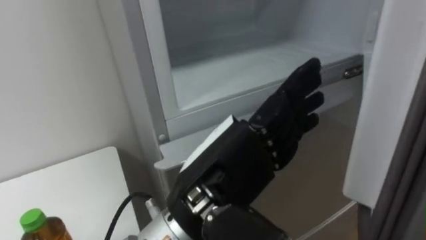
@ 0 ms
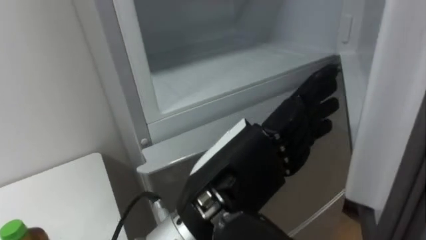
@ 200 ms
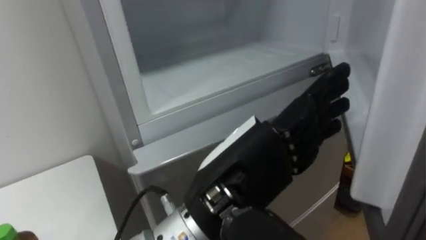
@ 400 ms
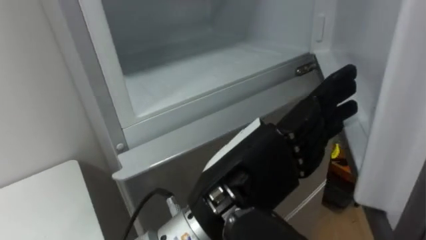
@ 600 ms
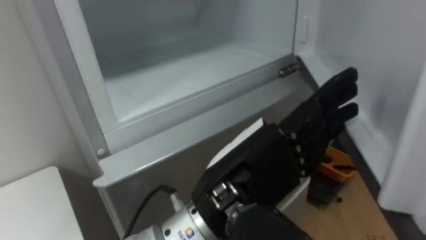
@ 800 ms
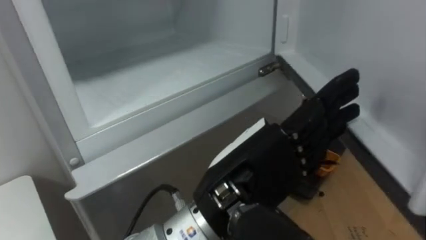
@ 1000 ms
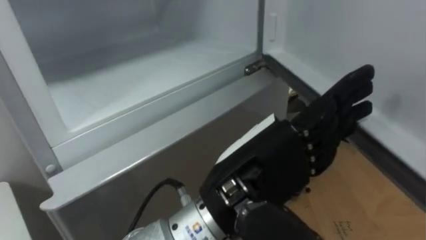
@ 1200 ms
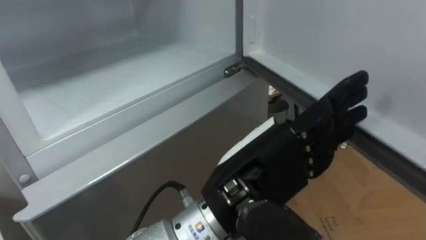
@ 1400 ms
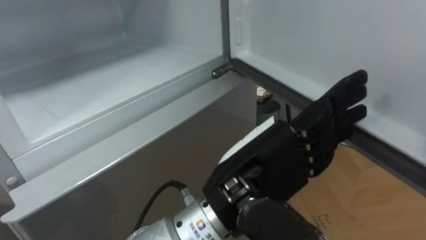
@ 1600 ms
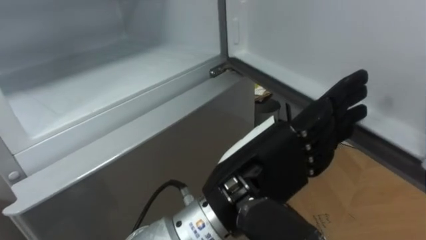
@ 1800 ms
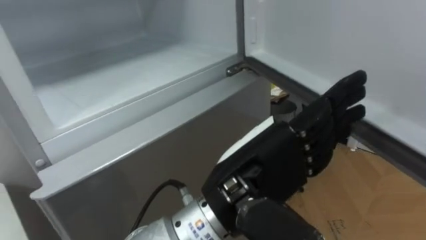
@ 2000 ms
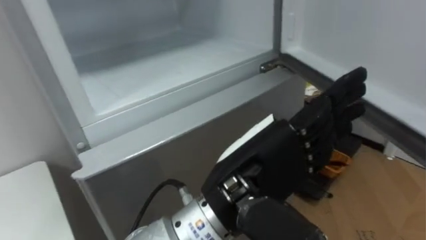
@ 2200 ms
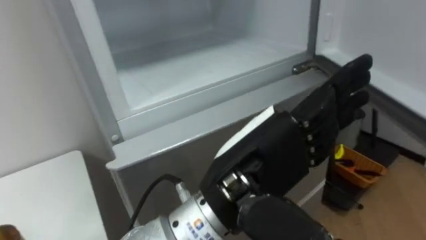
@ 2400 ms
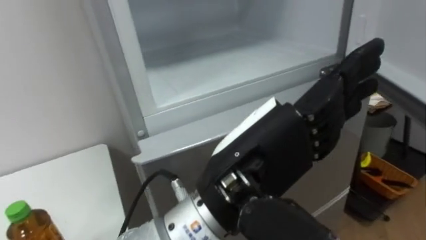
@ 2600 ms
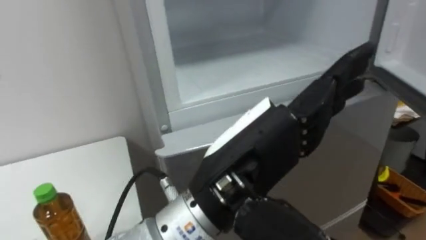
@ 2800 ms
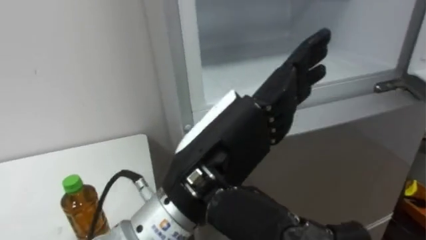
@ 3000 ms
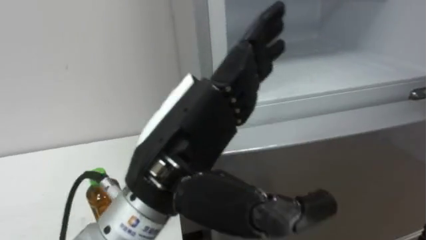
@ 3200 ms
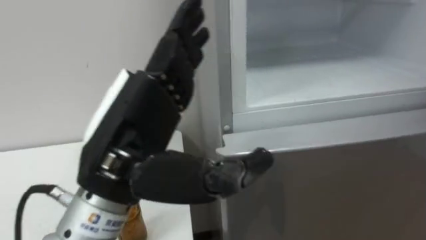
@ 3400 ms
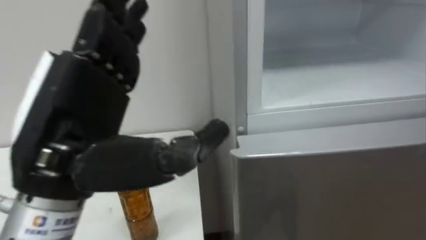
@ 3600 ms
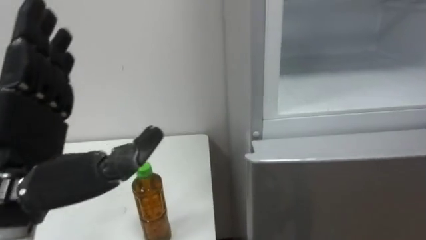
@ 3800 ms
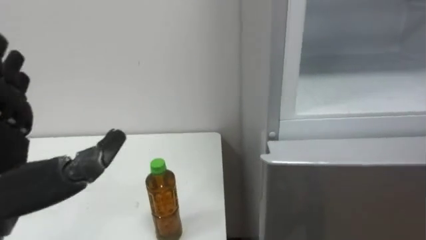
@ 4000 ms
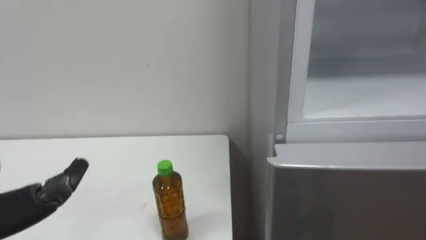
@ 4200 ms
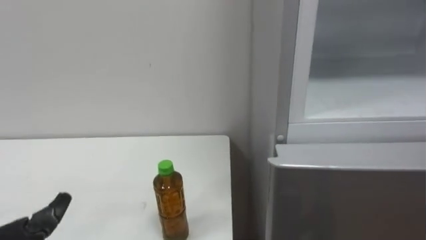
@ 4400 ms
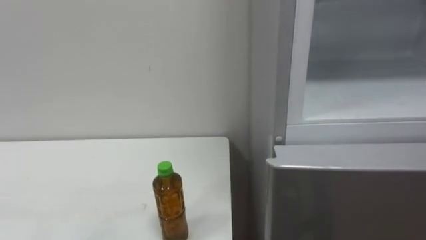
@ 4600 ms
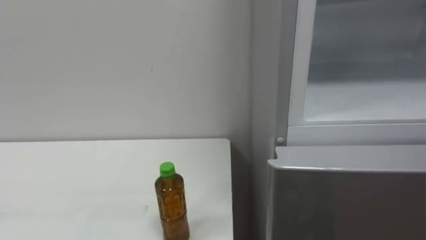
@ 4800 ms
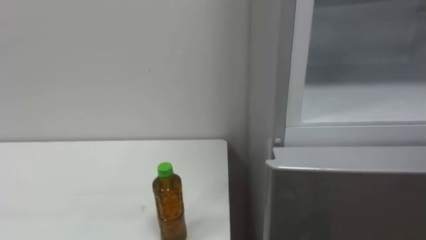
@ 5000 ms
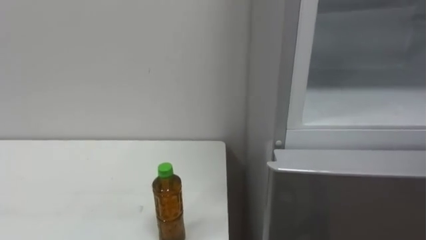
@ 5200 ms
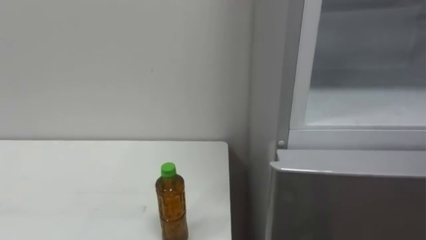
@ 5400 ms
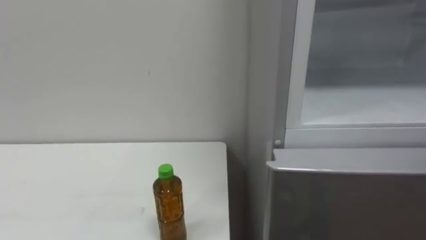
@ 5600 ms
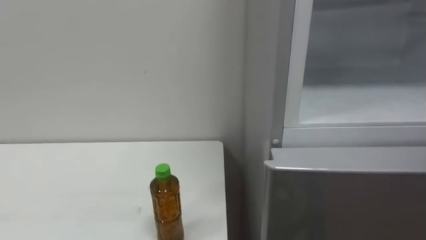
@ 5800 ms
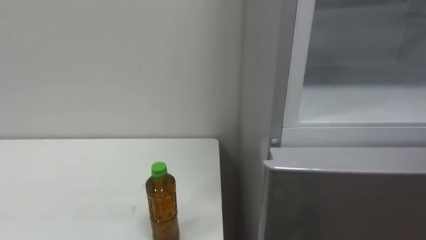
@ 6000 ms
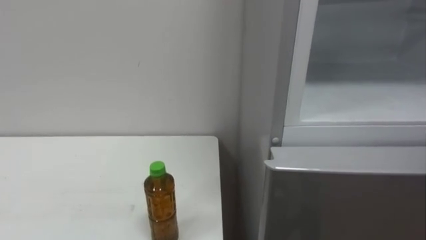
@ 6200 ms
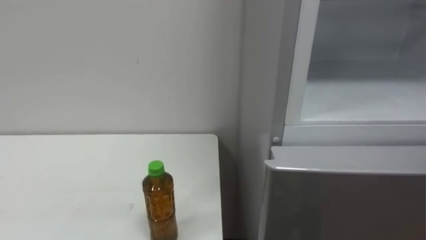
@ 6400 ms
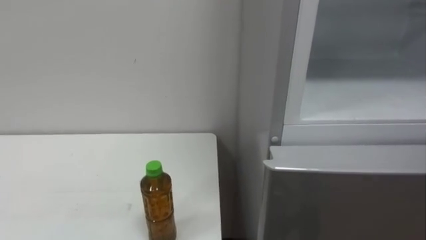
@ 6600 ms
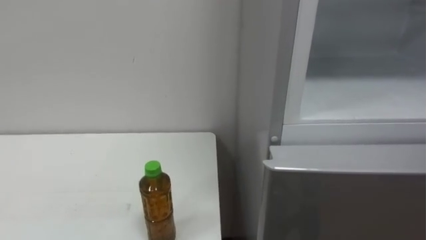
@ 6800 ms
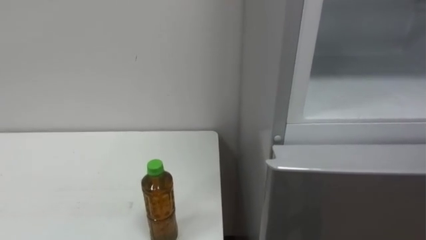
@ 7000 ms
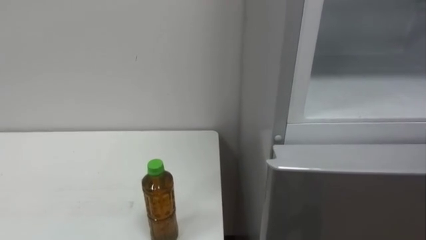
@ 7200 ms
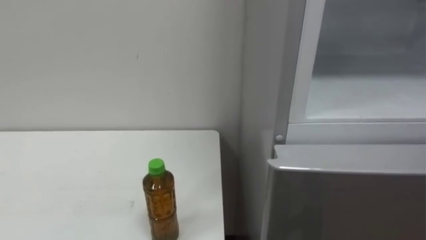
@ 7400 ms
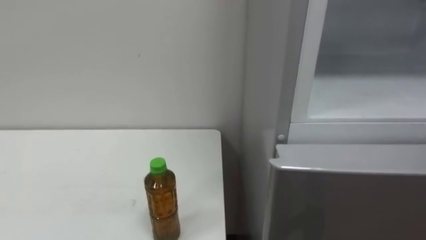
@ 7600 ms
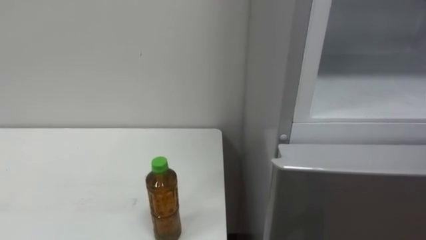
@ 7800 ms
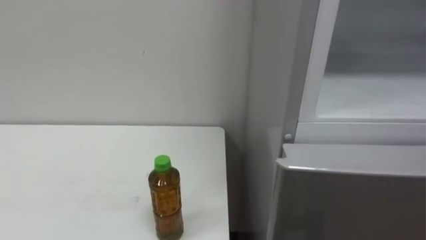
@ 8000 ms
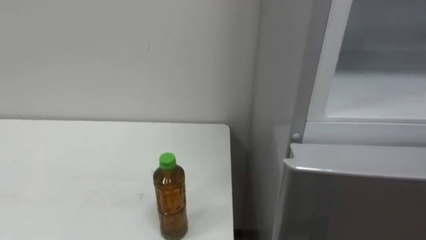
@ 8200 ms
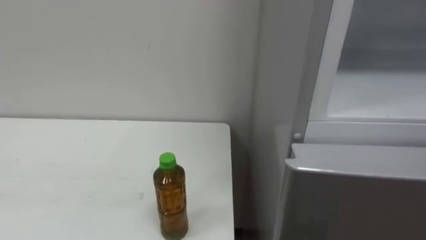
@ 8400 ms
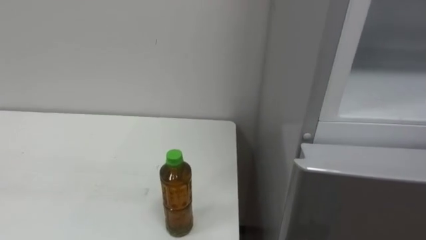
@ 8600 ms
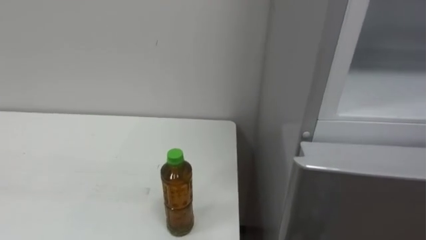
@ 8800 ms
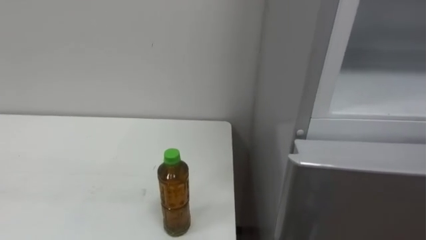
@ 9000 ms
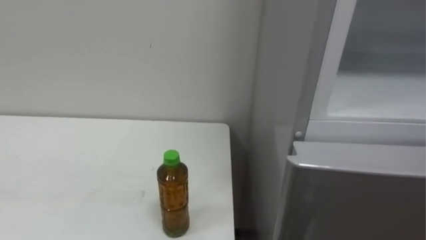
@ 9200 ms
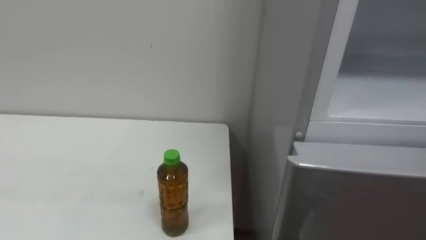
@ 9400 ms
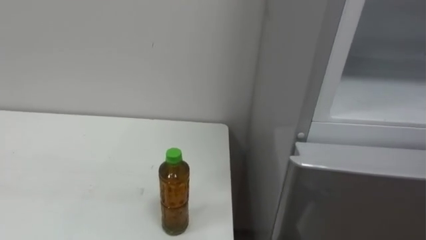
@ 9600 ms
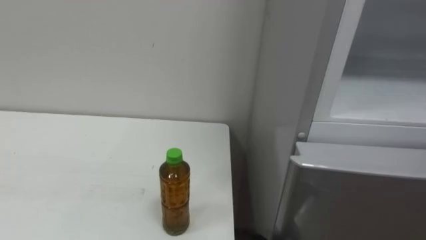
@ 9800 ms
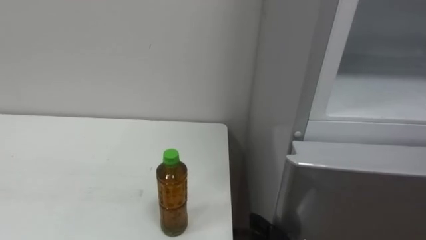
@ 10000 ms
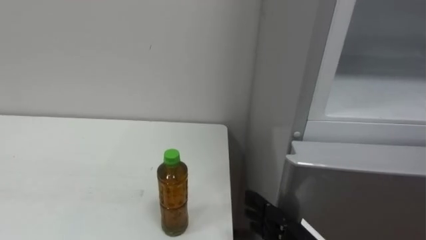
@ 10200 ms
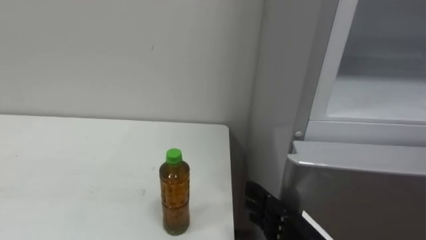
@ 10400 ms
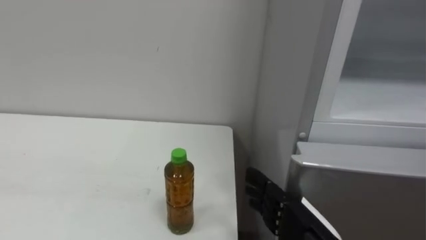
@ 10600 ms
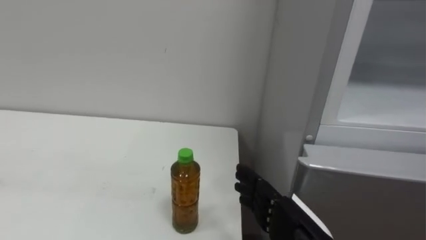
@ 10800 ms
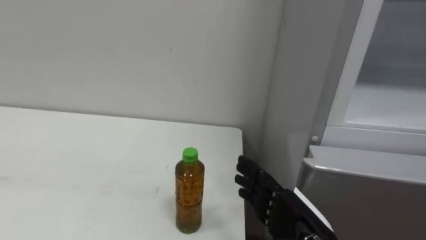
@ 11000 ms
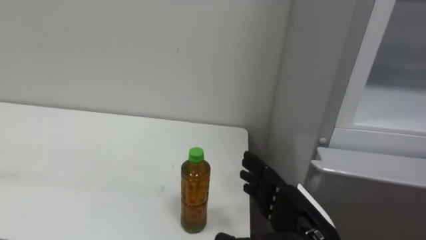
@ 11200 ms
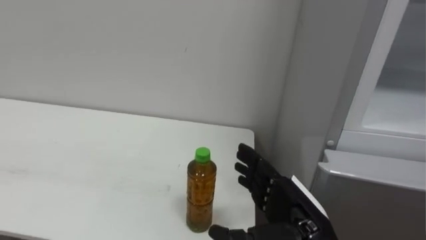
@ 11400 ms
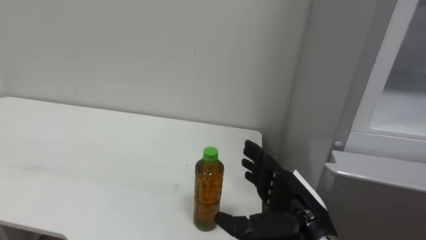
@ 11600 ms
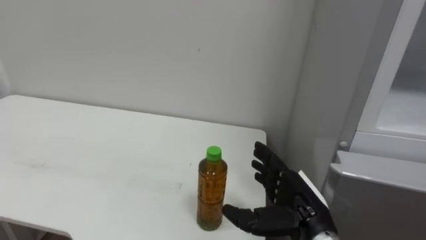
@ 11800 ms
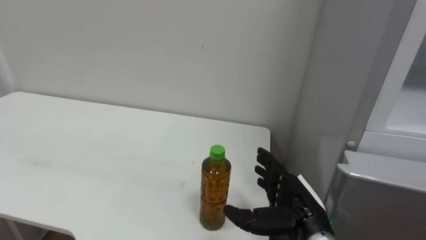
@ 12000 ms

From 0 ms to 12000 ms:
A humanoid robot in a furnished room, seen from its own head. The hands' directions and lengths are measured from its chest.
Task of the whole recording: Open the upper refrigerator door, put the drink from the table into the refrigerator, and then close the refrigerator door.
From 0 ms to 1600 ms: The robot's body swings about 15 degrees to its right.

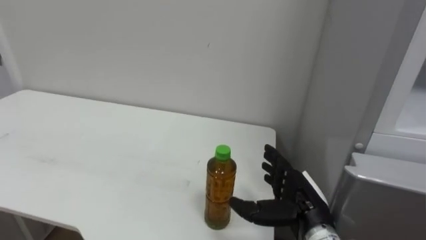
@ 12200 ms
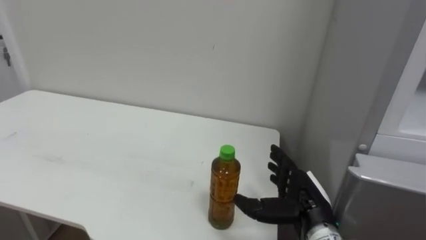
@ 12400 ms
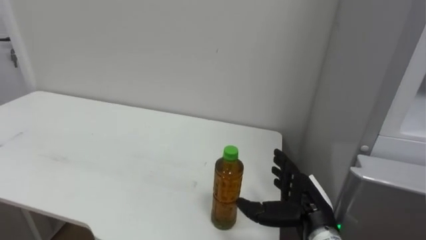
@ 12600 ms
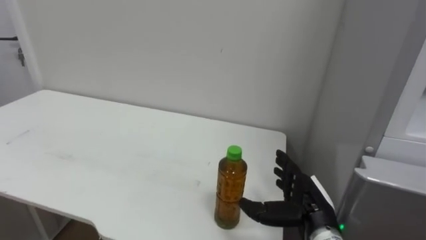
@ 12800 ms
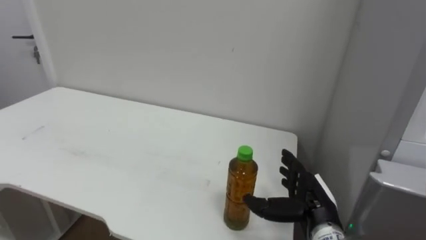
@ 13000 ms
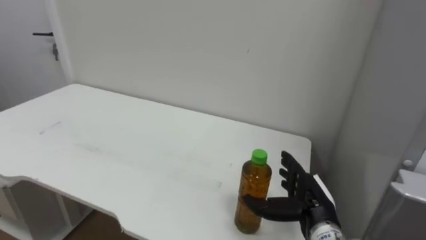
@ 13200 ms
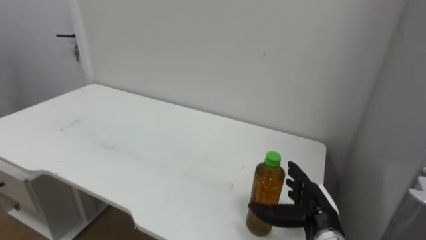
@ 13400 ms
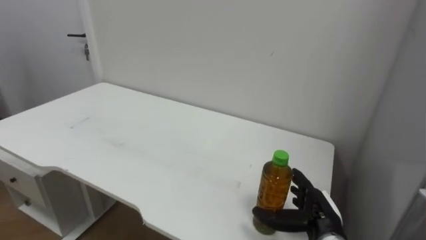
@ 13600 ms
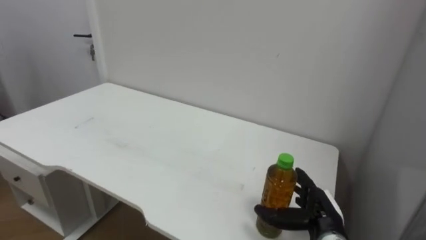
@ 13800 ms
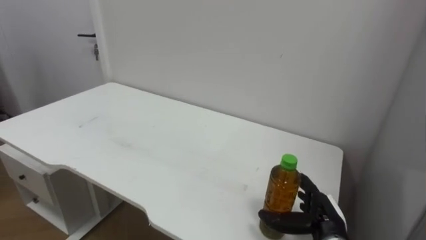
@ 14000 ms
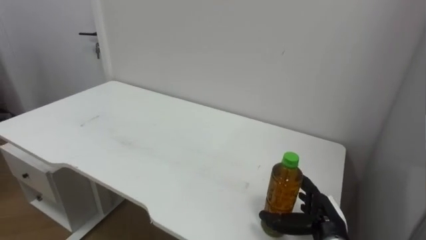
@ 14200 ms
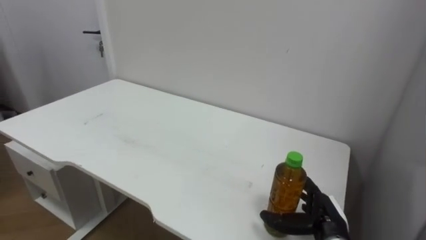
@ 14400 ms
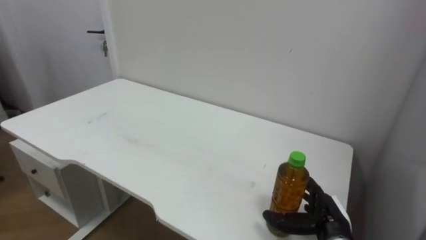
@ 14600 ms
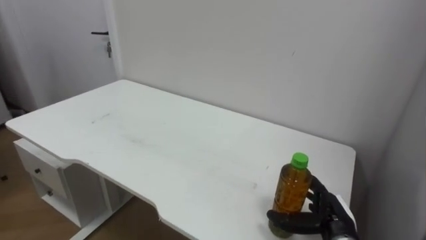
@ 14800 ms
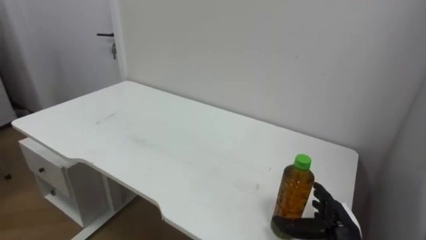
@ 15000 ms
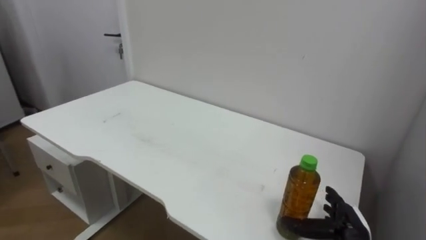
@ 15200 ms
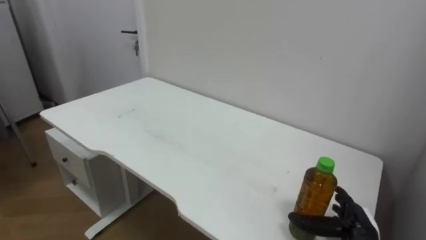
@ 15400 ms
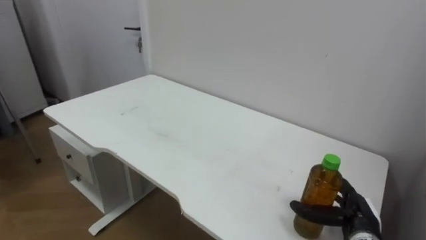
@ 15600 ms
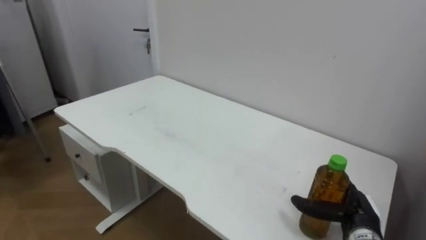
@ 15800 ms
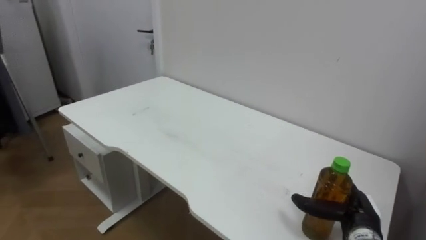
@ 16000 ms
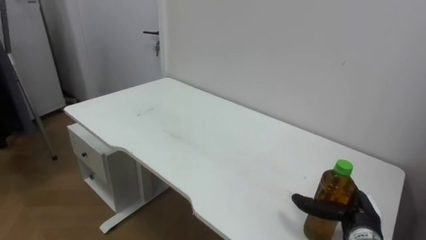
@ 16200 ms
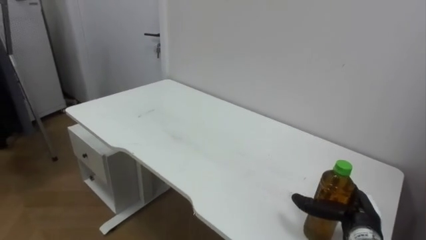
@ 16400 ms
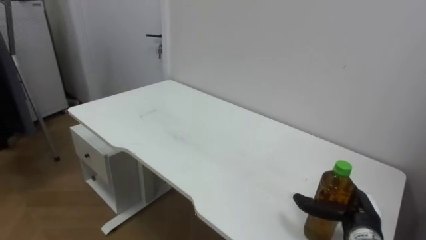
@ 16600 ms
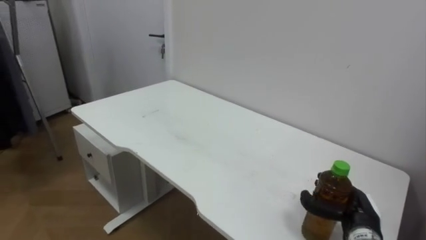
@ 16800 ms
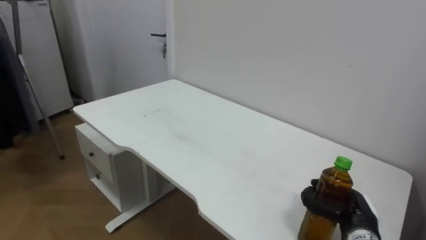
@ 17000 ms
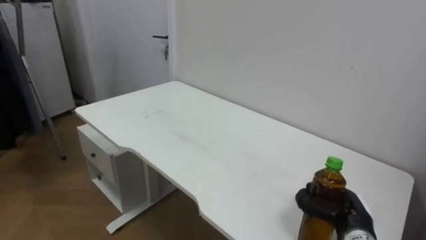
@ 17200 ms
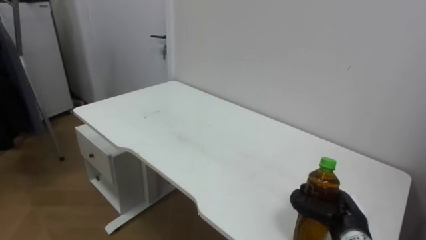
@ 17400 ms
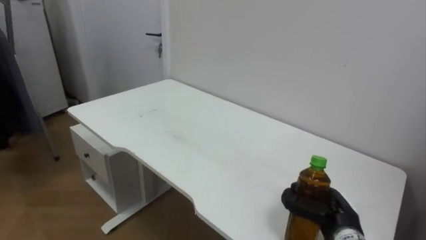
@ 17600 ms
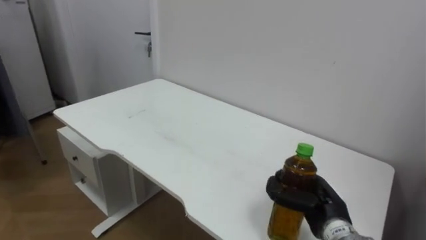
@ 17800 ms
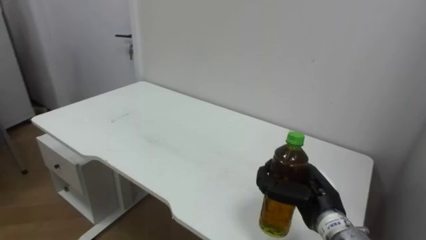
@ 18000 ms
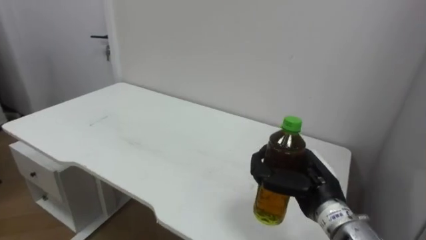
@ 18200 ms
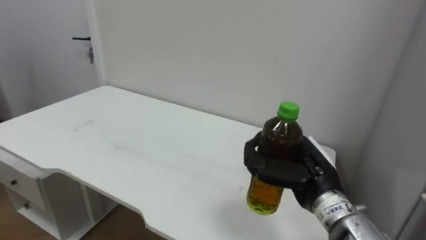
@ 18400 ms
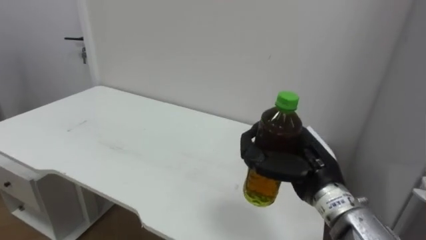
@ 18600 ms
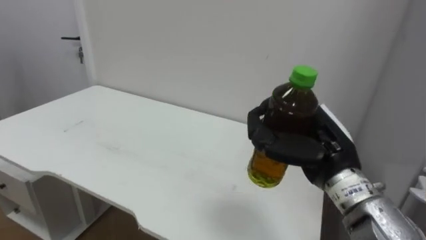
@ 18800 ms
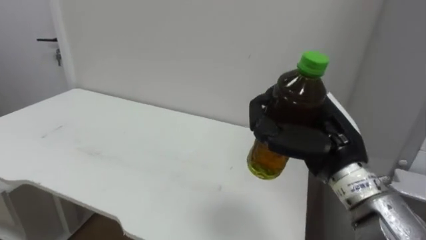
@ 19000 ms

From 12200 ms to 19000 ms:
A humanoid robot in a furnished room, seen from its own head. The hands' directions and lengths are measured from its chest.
Task of the whole recording: Open the upper refrigerator door, put the drink from the table into the refrigerator, and then close the refrigerator door.
From 12200 ms to 13600 ms: The right hand heads downward, covering some 5 cm.
From 16200 ms to 17600 ms: The right hand closes up.
From 17600 ms to 19000 ms: The right hand is displaced upward by some 20 cm.
